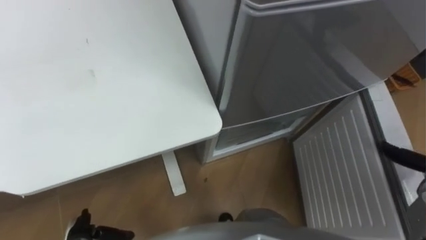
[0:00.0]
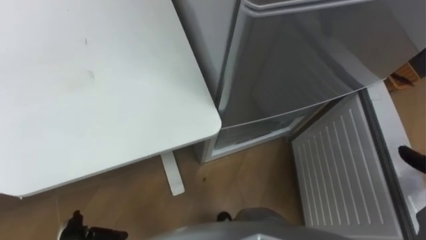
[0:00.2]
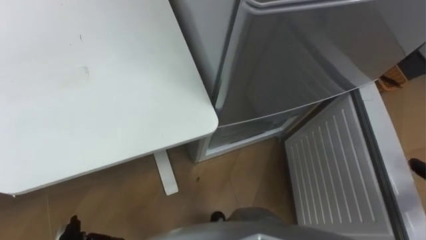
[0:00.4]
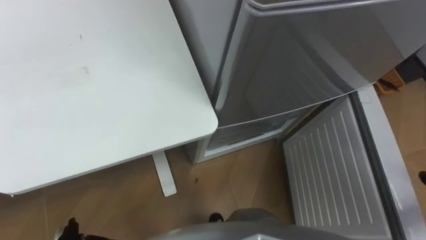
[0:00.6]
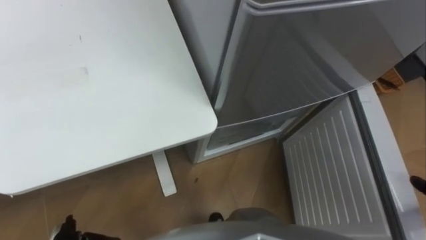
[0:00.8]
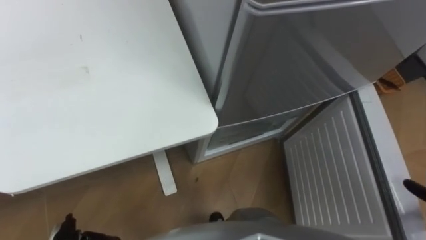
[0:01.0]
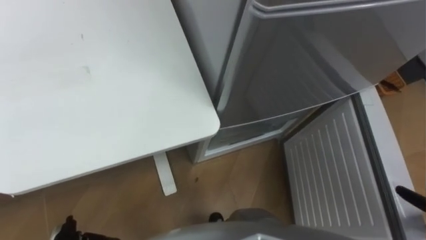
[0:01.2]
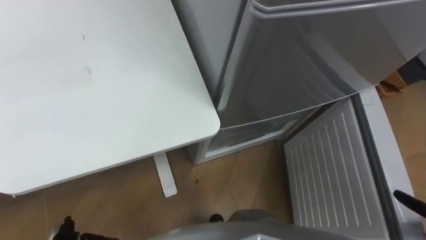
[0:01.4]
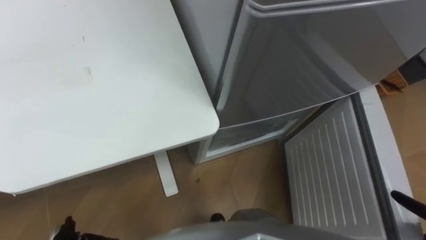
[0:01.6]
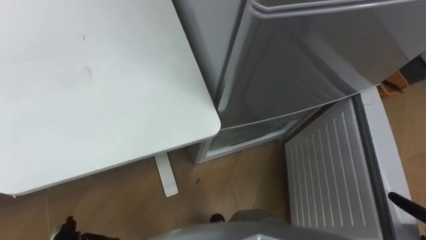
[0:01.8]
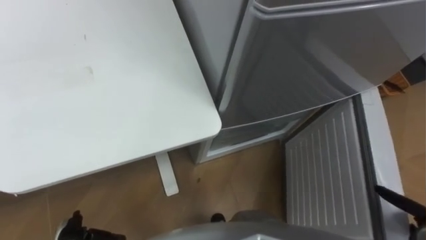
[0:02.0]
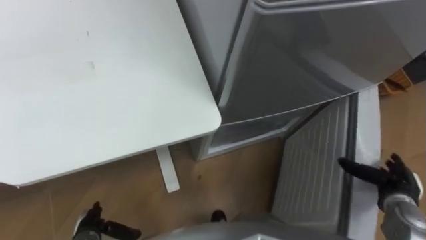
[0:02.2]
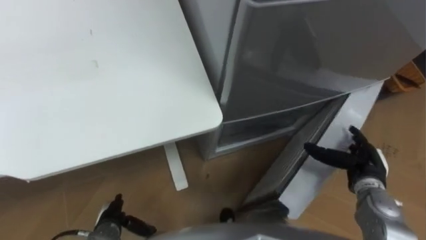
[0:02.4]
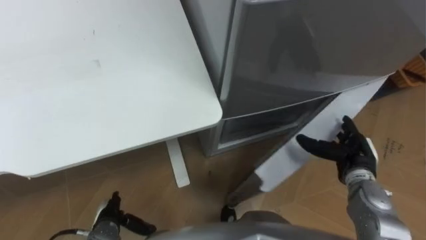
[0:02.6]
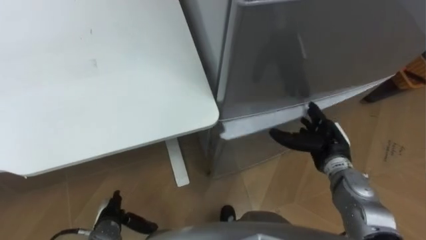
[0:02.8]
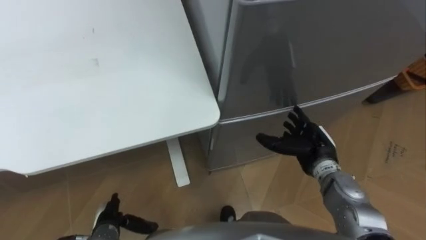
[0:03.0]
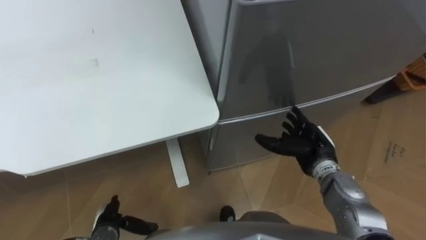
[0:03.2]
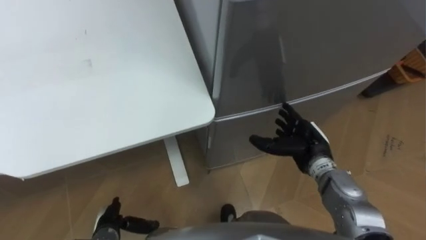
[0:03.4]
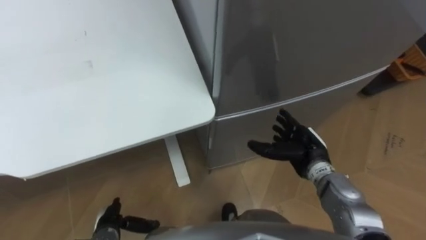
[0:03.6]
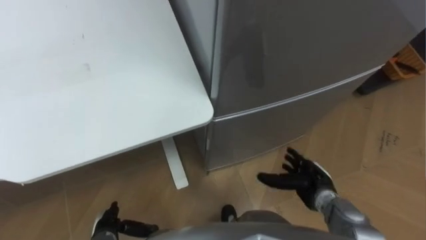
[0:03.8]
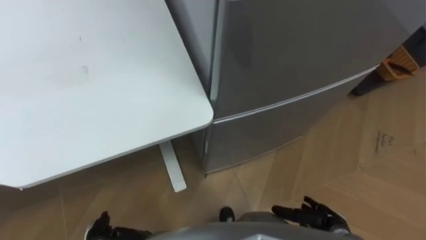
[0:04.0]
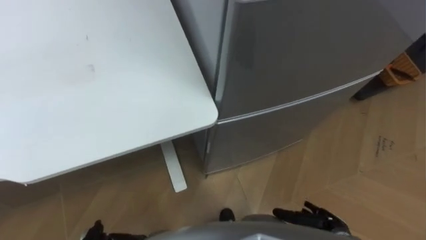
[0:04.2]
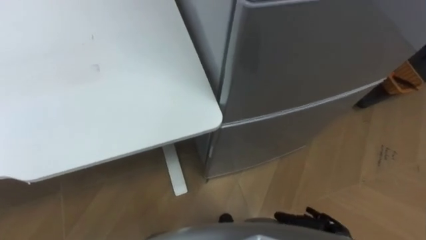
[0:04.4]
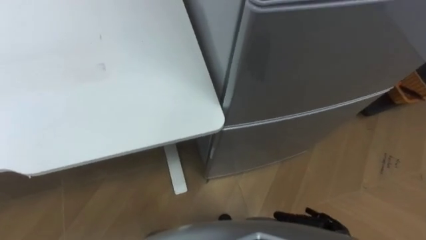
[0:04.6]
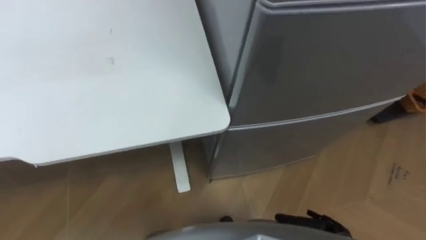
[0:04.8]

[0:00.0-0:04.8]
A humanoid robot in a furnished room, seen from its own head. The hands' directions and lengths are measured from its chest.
Task of the whole recording: Place the drink on the table on the bottom shelf of the refrigerator, then close the drawer and the refrigerator door.
0:01.6 to 0:03.2: The right hand heads to the left and forward, covering some 30 cm.
0:03.2 to 0:04.8: The right hand is displaced backward and downward by roughly 20 cm.

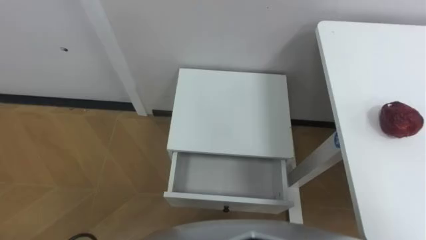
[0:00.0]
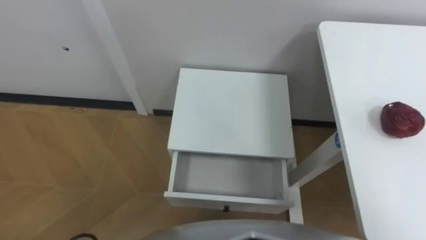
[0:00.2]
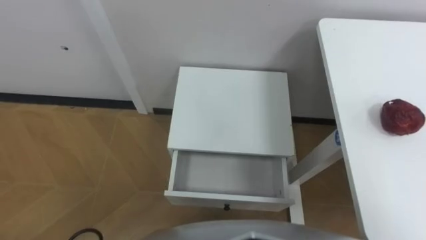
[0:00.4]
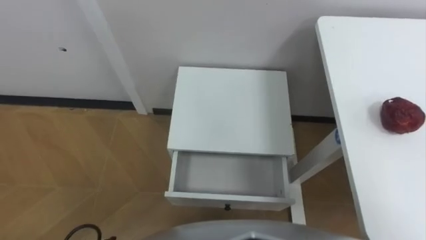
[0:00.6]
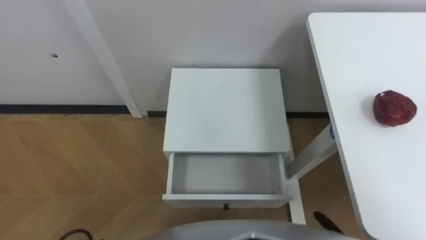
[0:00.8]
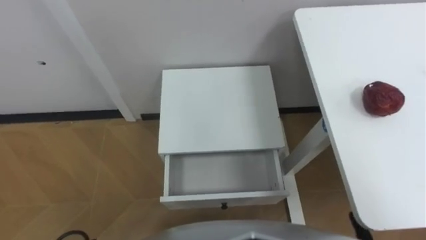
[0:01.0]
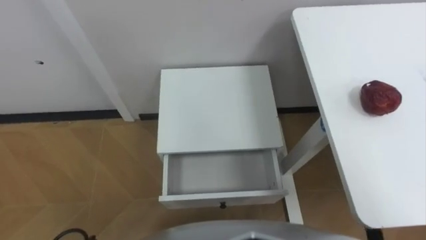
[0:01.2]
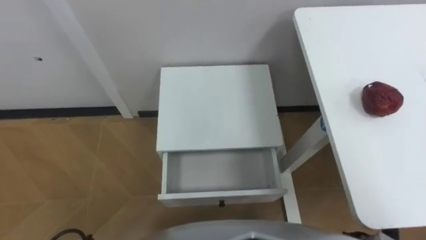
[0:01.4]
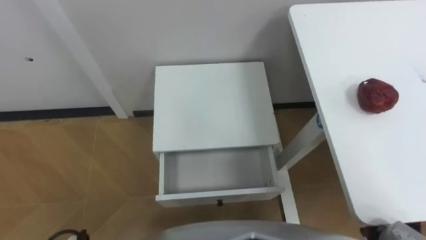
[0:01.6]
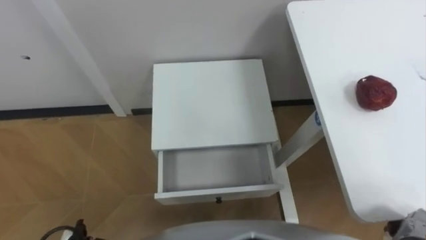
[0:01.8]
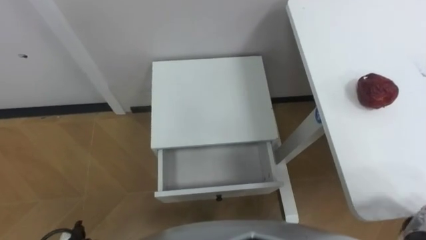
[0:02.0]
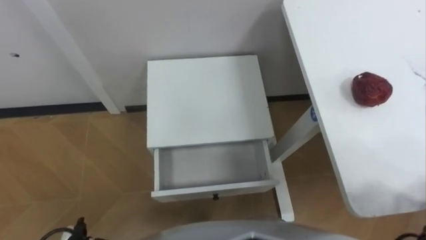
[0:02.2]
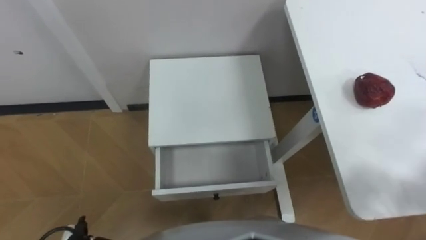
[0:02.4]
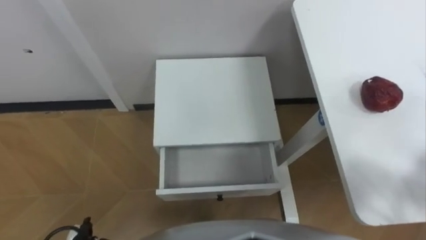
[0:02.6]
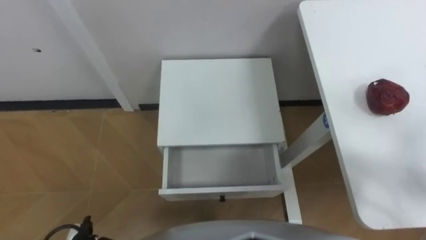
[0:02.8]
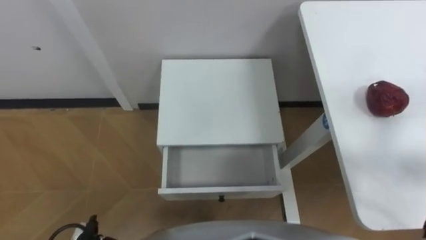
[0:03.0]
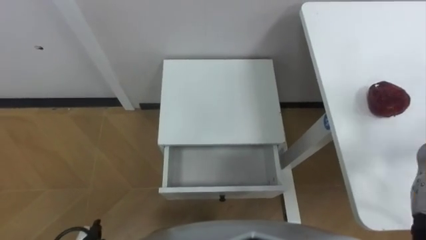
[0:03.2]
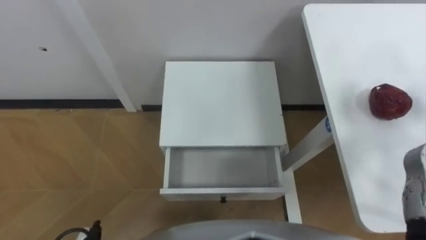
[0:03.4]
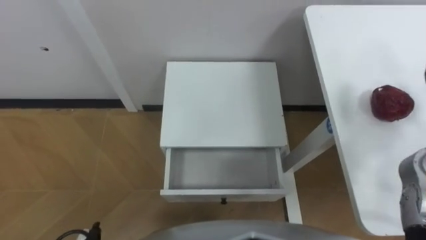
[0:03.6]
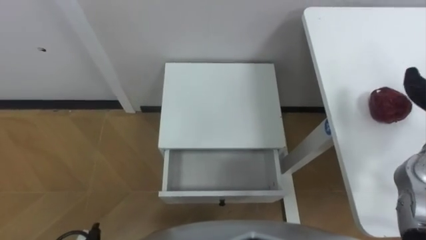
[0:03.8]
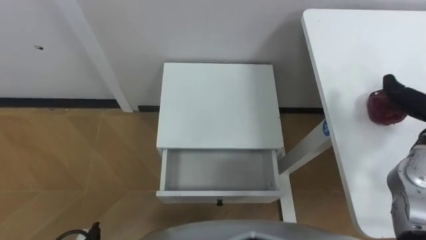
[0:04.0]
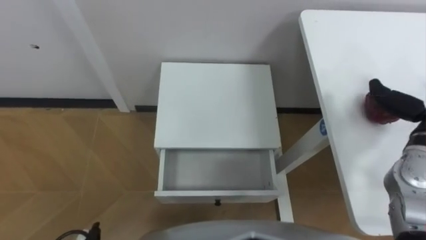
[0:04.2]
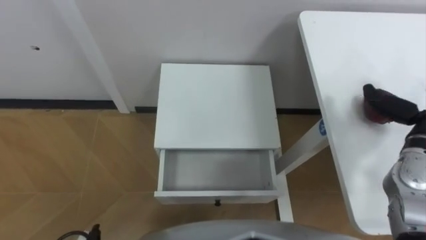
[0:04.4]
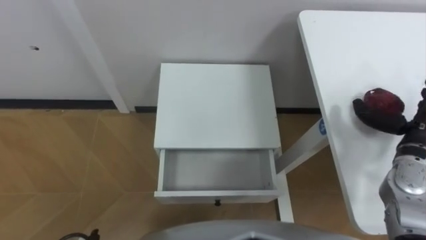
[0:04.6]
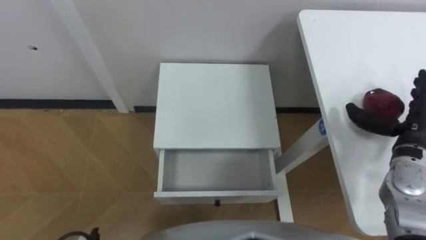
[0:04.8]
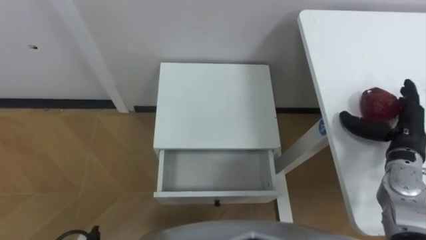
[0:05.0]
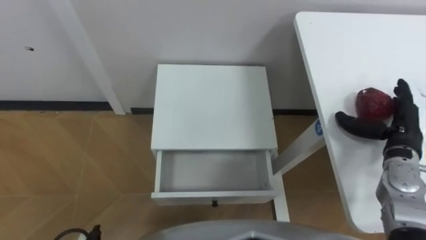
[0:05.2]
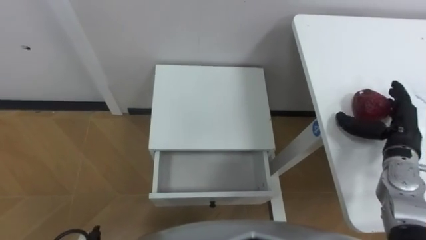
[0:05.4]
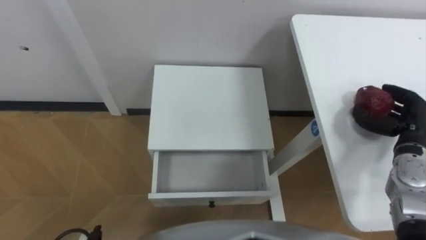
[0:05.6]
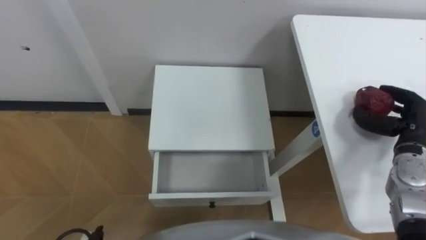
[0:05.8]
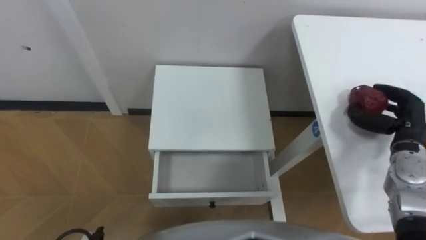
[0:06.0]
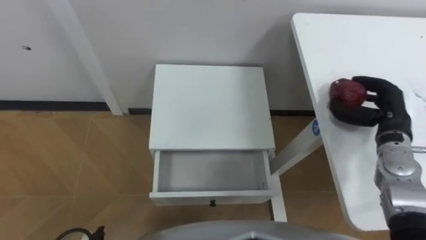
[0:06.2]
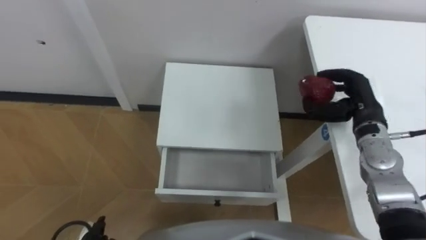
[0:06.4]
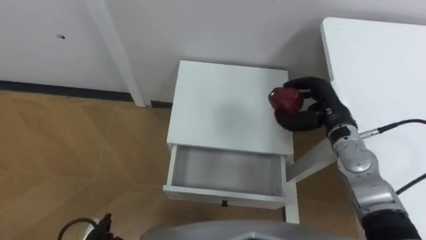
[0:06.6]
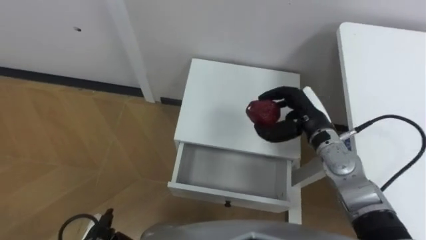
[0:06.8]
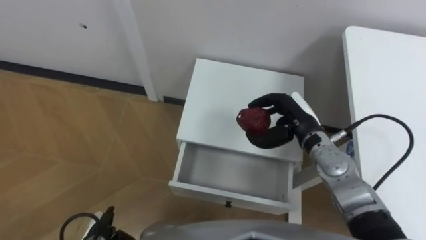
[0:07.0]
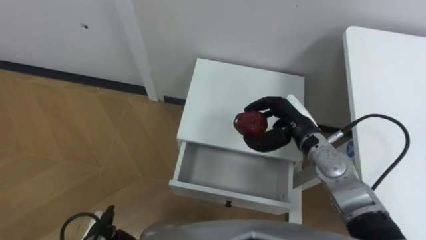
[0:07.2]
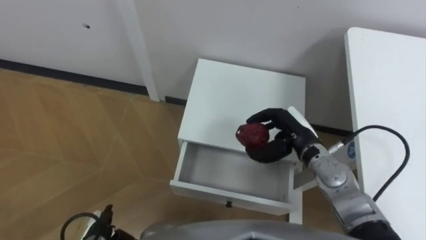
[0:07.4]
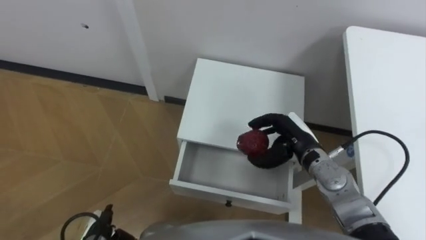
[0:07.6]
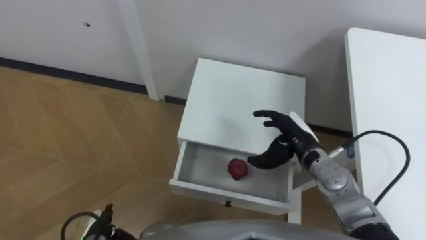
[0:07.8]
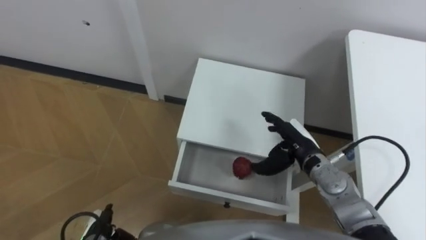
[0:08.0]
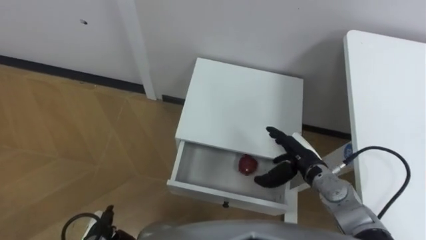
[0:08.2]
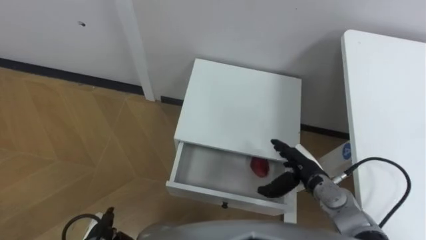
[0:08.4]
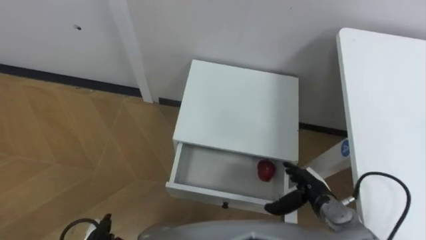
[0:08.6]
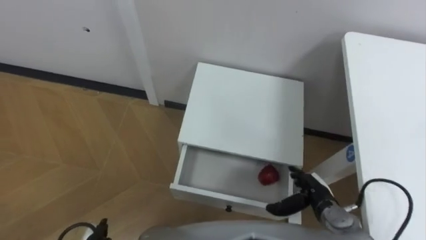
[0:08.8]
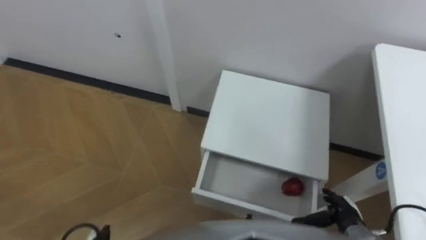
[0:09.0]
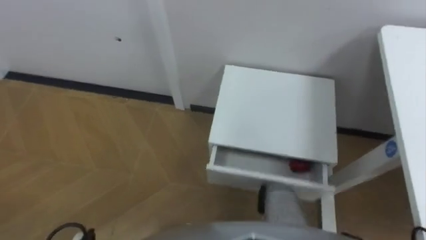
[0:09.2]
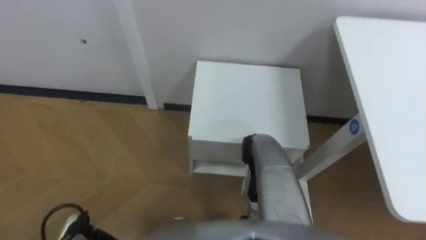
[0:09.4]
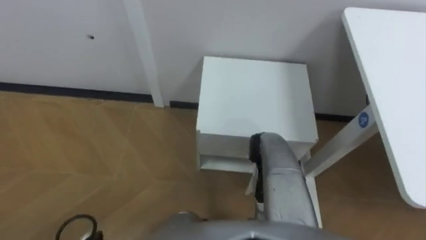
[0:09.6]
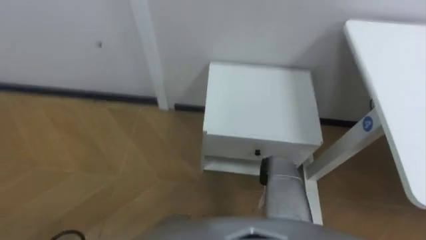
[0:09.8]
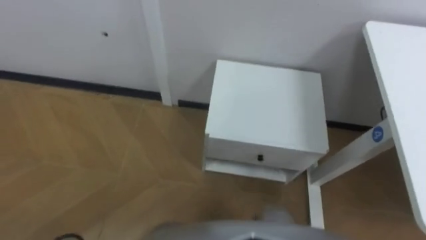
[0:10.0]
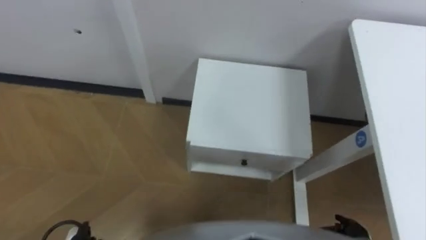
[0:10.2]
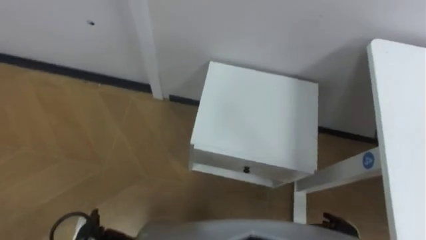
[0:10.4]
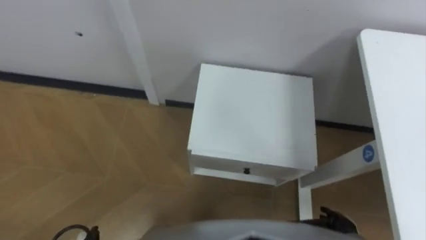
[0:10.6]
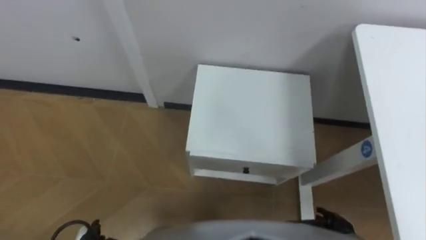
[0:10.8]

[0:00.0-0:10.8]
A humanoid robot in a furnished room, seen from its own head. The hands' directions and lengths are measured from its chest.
Task of the whole recording: Pick up the apple from the table, put it in the drawer, and close the drawer with leg.
0:04.6 to 0:06.2: The right hand ends up approximately 5 cm from where it was, and closes its fingers.
0:06.2 to 0:07.8: The right hand moves to the left, approximately 15 cm.

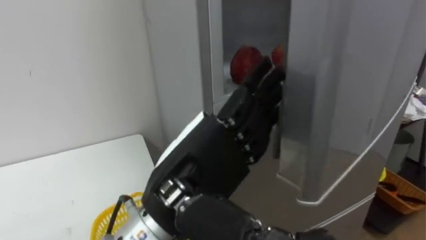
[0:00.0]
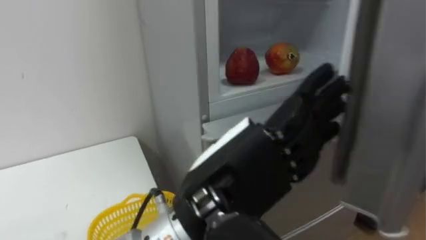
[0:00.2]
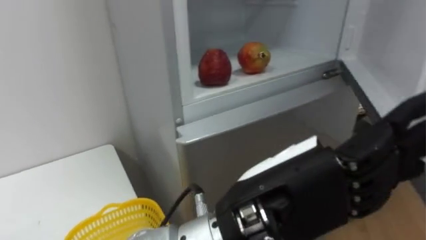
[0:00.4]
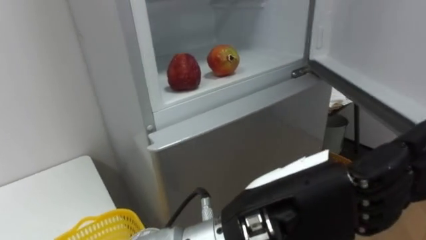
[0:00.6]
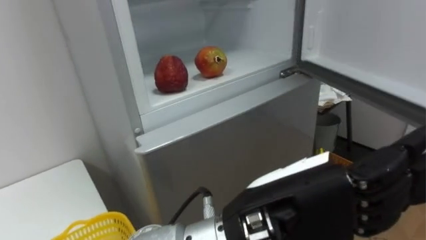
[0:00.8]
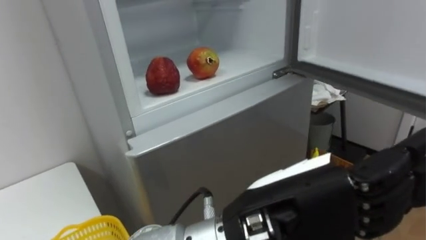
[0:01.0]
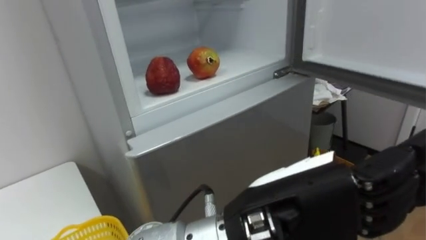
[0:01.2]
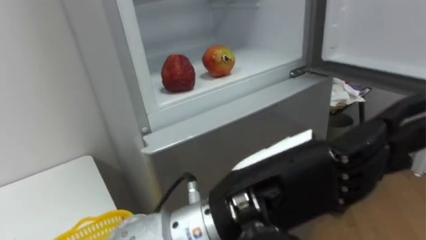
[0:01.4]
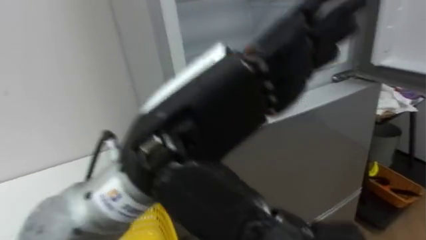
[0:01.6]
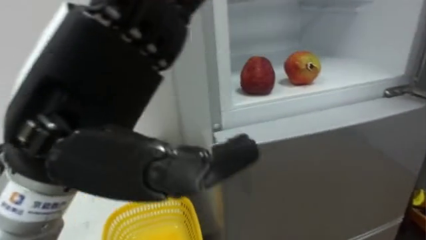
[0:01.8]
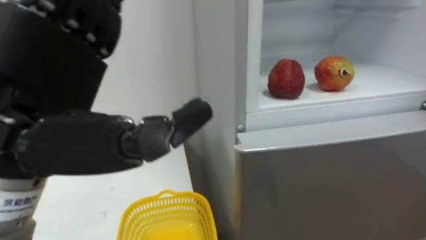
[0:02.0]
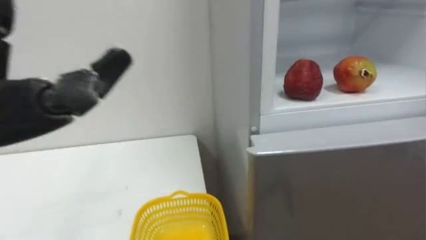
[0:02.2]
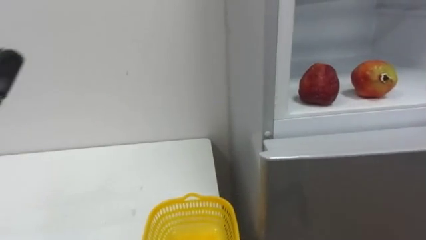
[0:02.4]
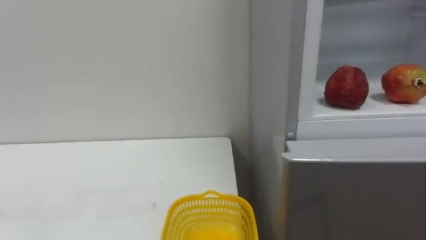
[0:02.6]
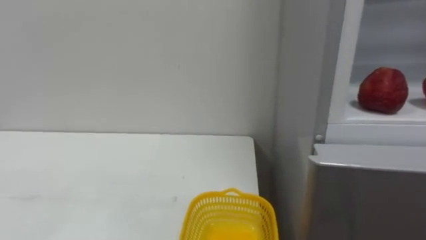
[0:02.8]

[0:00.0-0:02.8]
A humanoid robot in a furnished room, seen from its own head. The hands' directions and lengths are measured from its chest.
Task of the whole recording: Open the refrigerator door, take out the apple and the pomegranate, place them in the fruit basket on the left, and close the refrigerator door.
0:00.0 to 0:01.4: The left hand shifts roughly 5 cm to the right.
